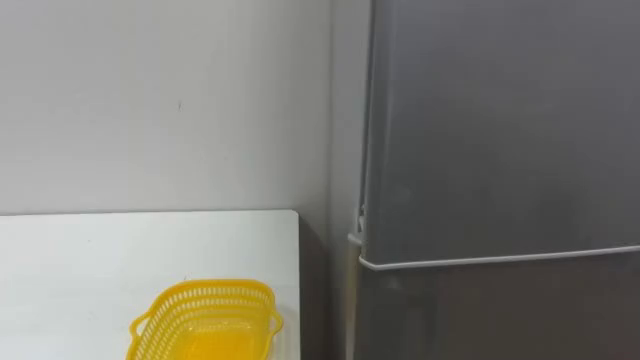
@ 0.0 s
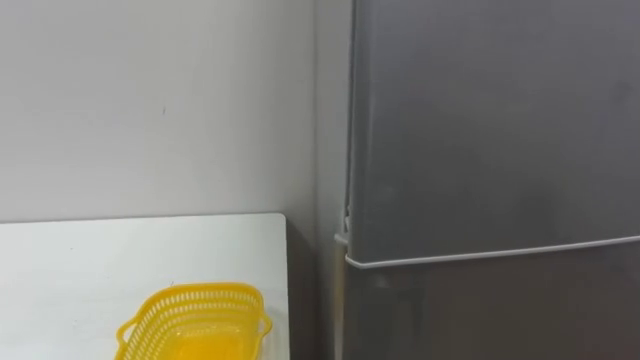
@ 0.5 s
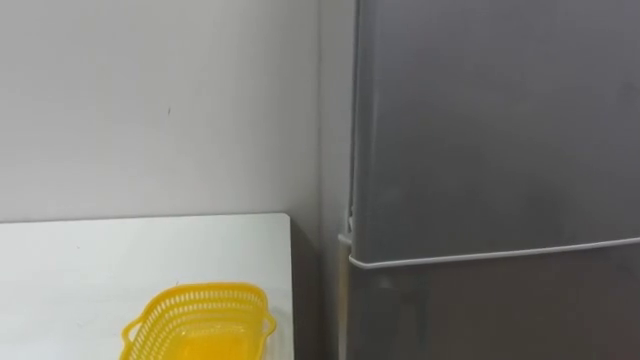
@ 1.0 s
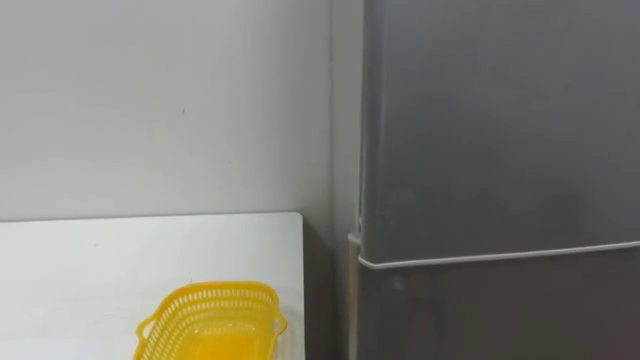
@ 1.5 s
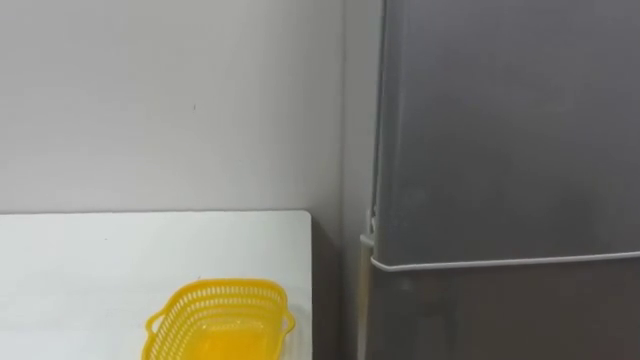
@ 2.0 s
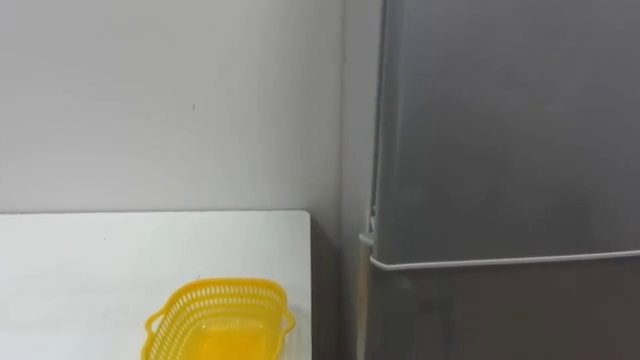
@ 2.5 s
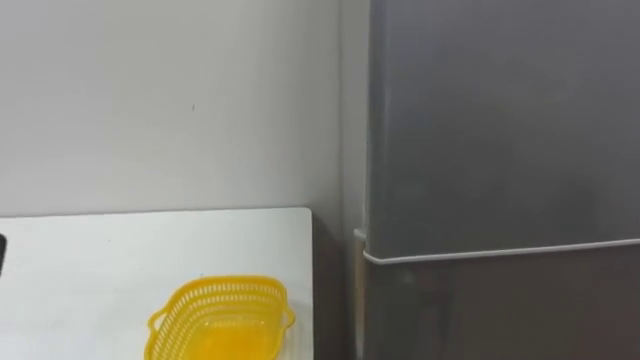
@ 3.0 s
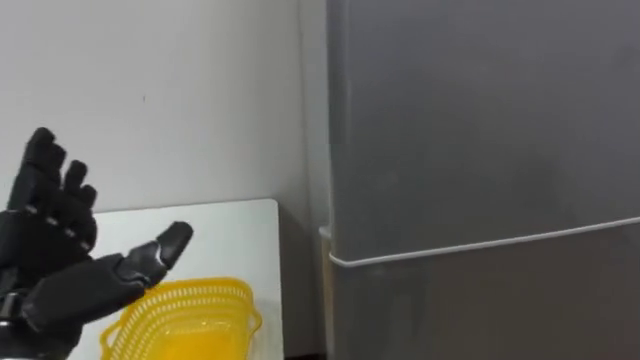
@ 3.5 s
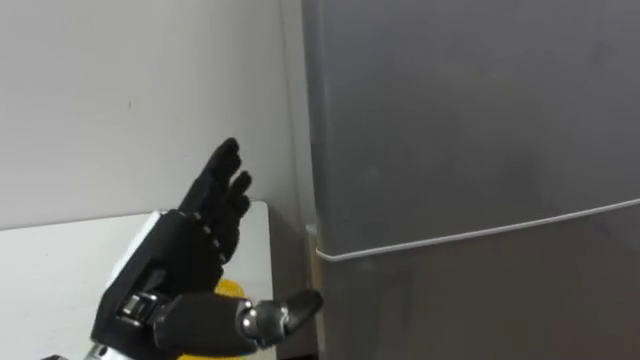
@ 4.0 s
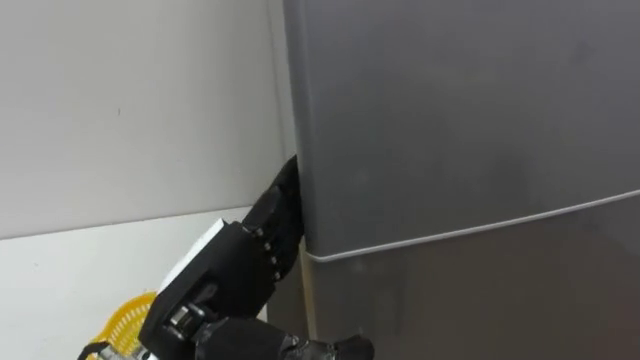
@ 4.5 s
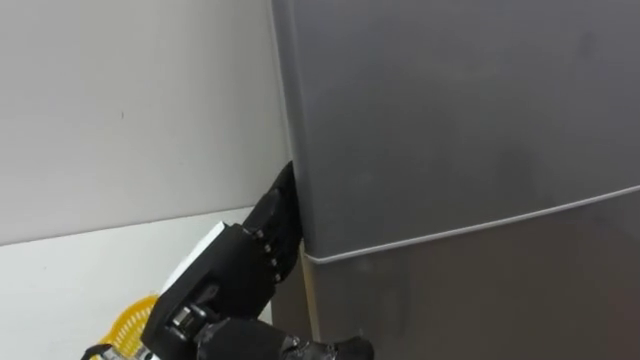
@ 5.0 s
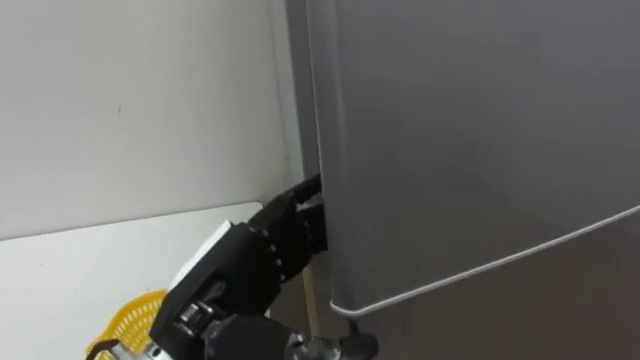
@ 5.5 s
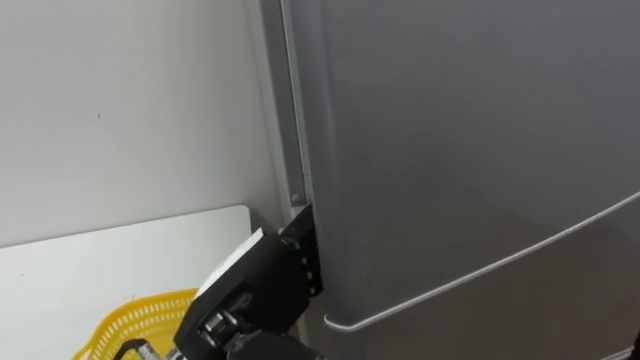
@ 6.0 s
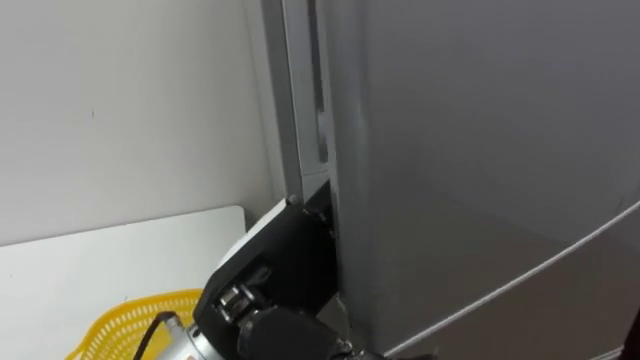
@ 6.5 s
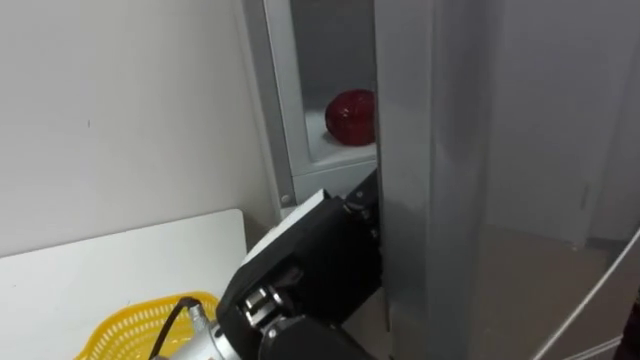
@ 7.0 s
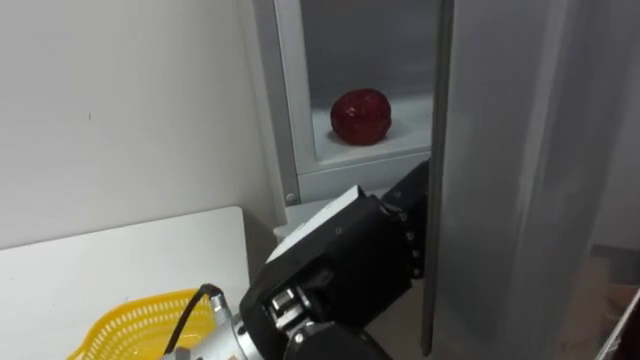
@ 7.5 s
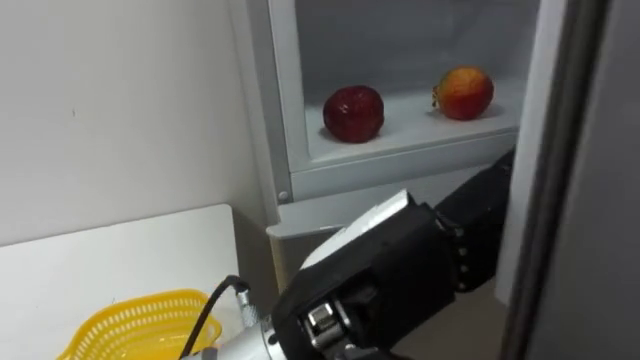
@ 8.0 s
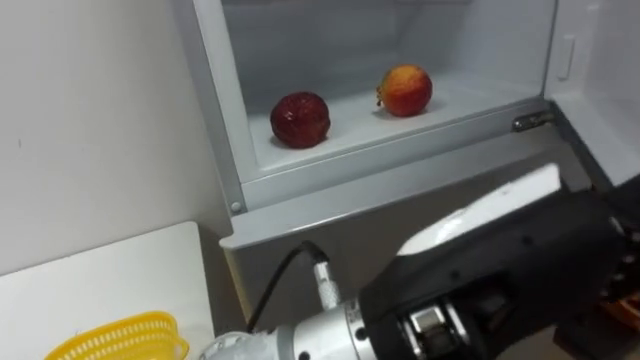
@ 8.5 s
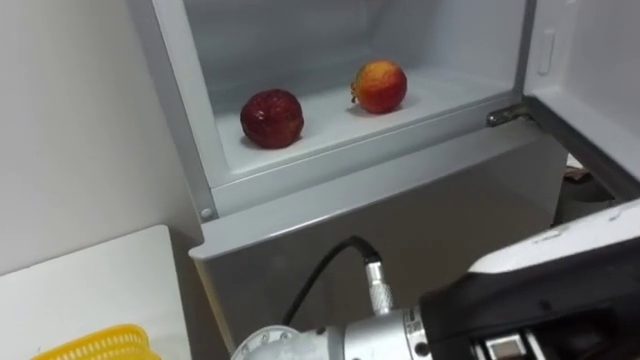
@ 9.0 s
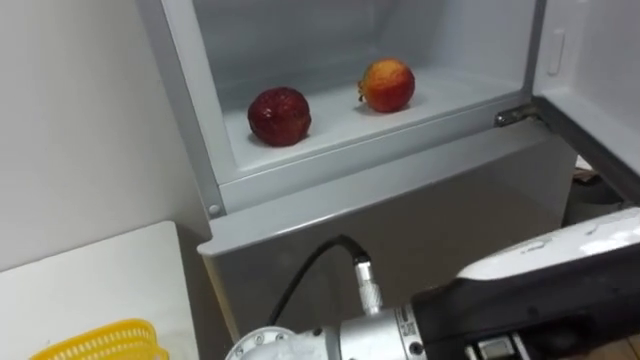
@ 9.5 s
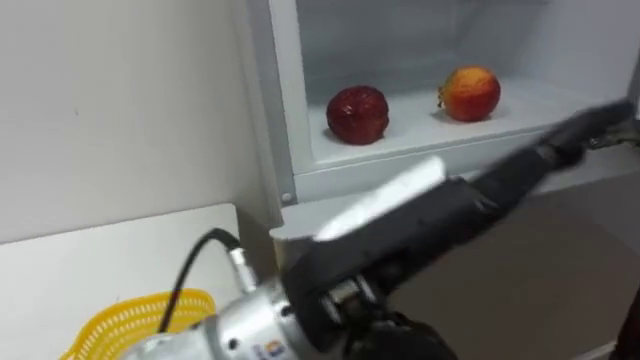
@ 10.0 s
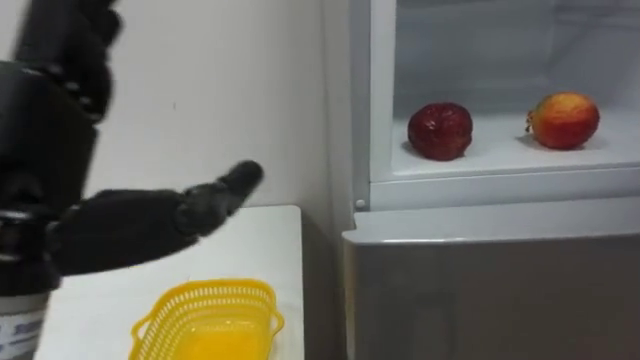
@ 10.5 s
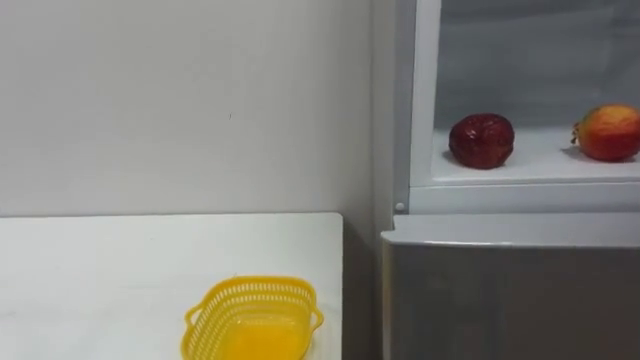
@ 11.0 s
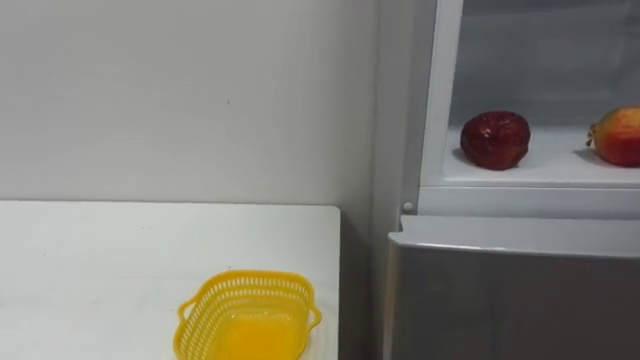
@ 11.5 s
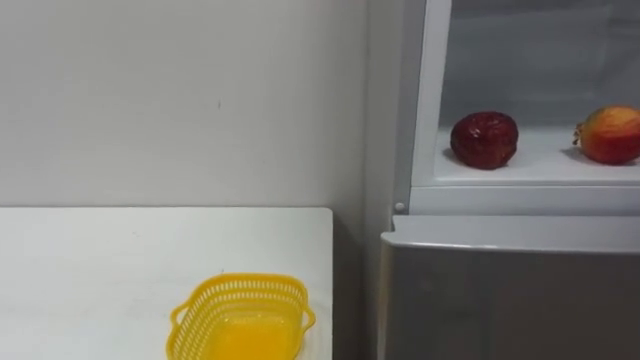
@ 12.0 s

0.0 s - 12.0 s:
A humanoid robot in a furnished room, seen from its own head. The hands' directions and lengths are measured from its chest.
Task of the whole recording: Open the refrigerator door, take out the apple and the pomegranate, place them in the fruit basket on the left, and close the refrigerator door.
4.0 s - 6.0 s: The left hand moves to the right, about 5 cm.
6.0 s - 8.0 s: The left hand heads to the right, upward and backward, covering some 10 cm.

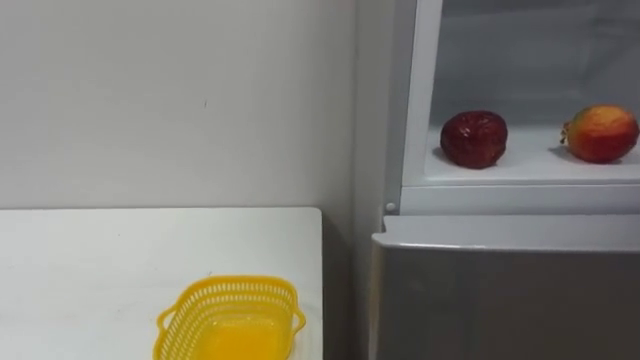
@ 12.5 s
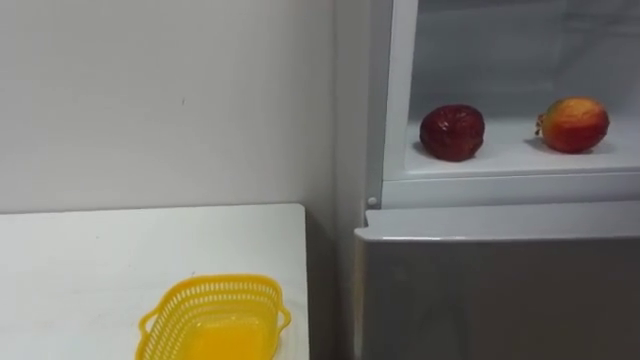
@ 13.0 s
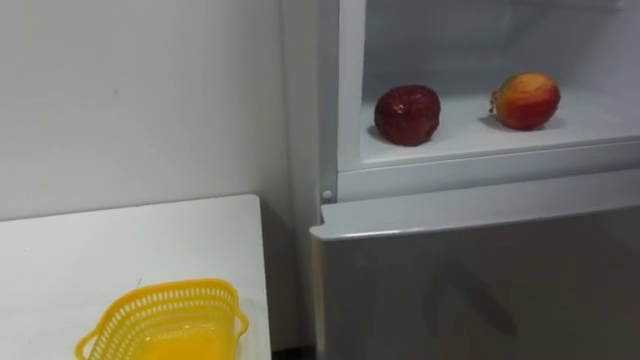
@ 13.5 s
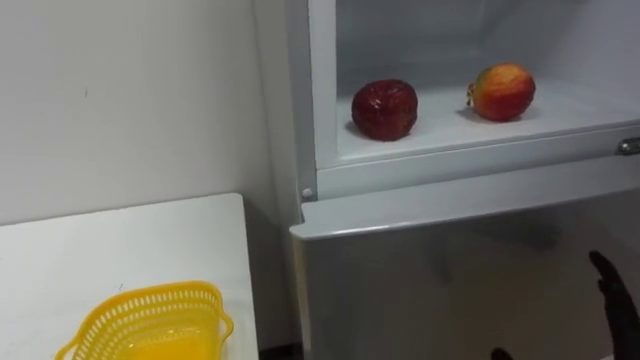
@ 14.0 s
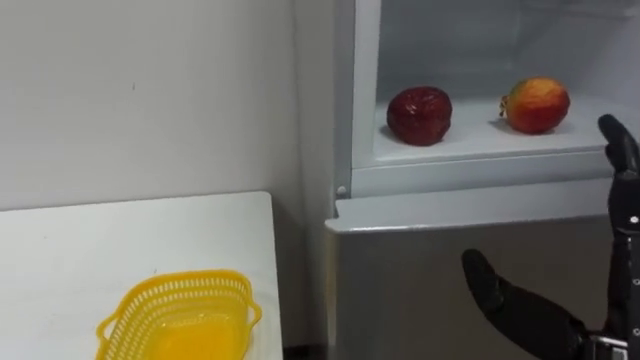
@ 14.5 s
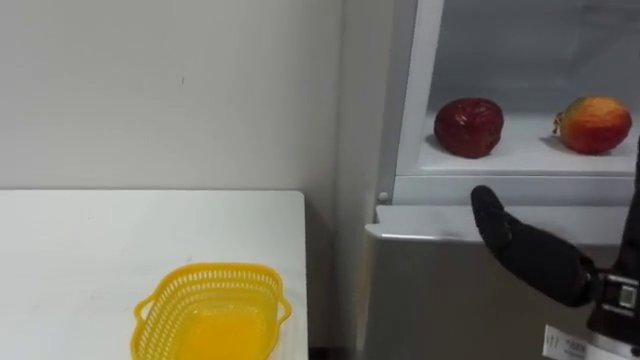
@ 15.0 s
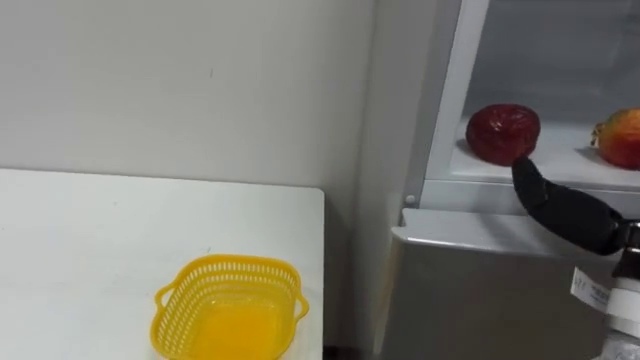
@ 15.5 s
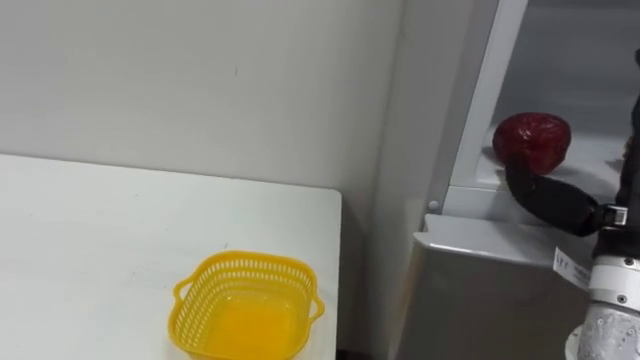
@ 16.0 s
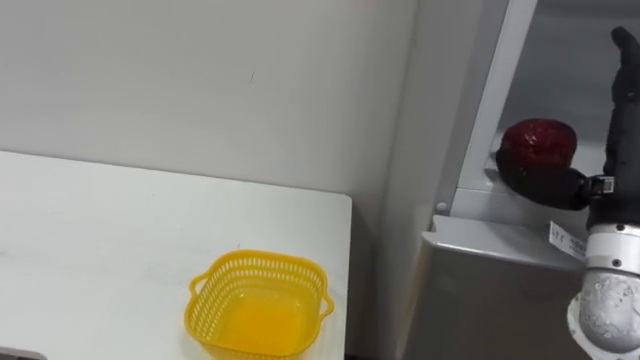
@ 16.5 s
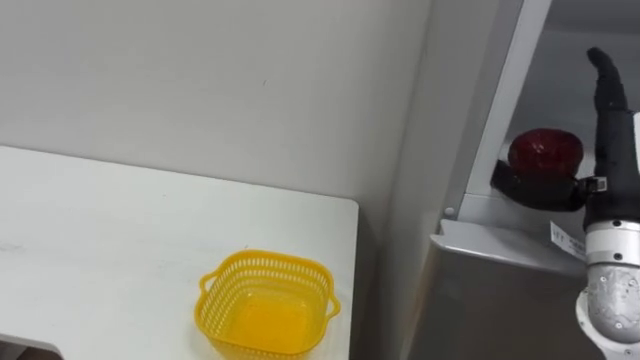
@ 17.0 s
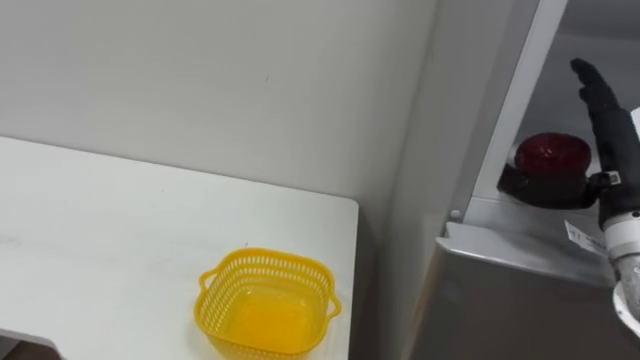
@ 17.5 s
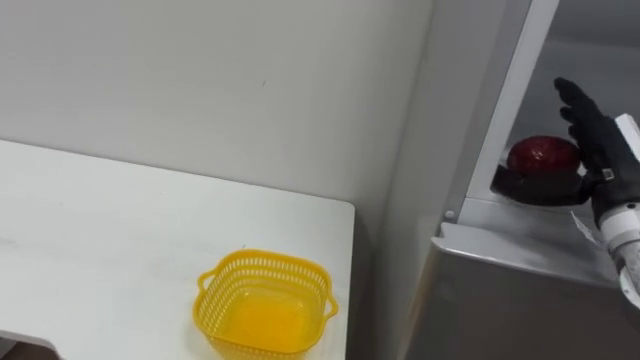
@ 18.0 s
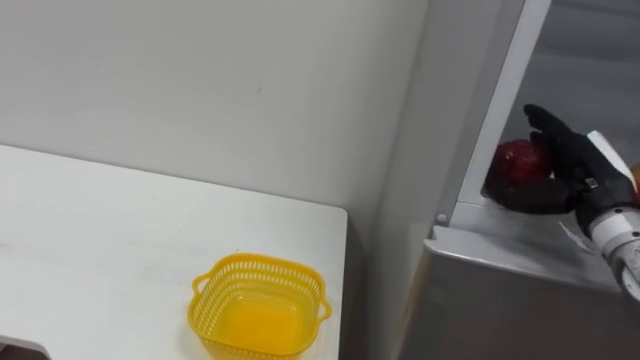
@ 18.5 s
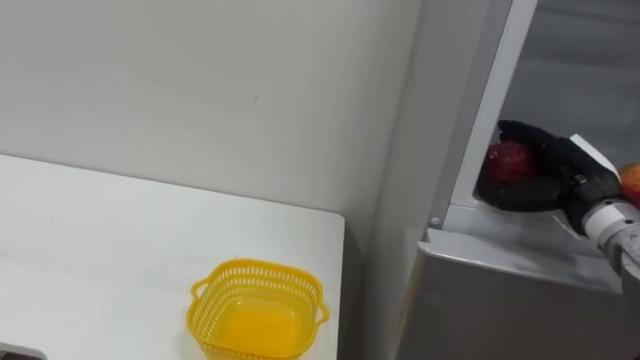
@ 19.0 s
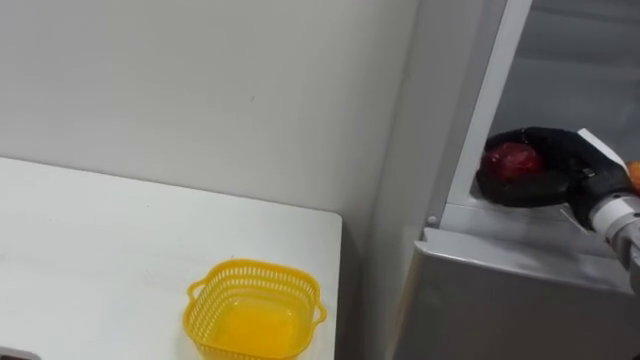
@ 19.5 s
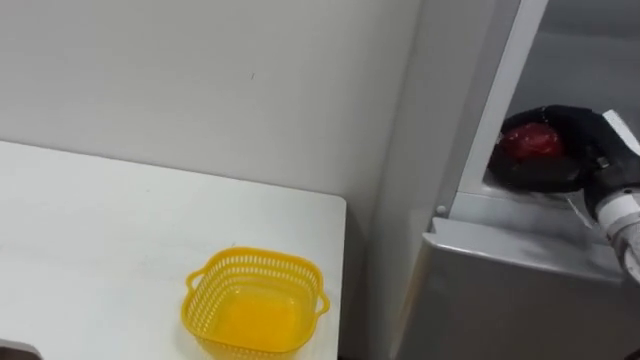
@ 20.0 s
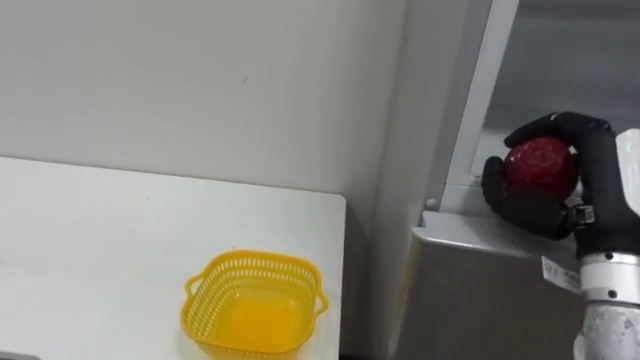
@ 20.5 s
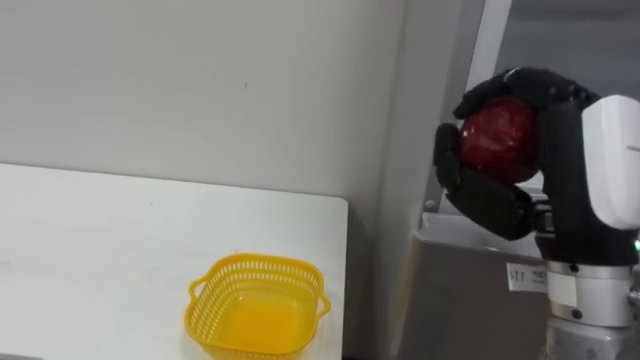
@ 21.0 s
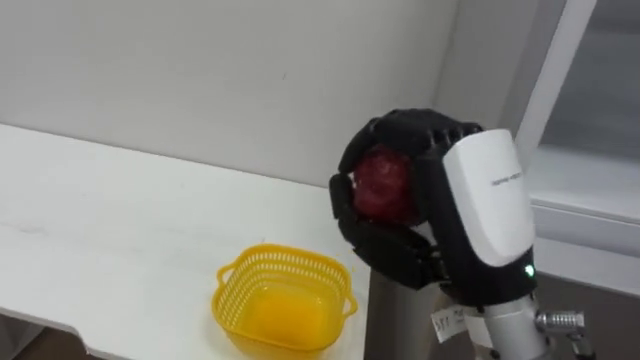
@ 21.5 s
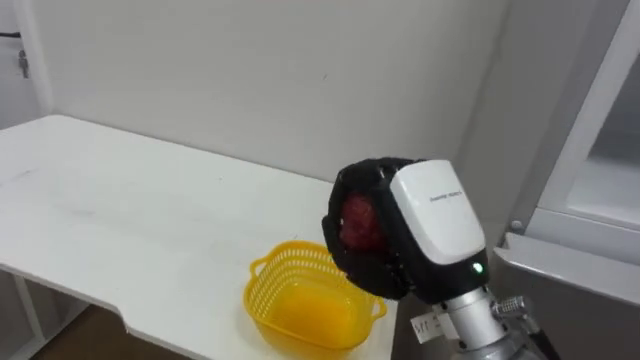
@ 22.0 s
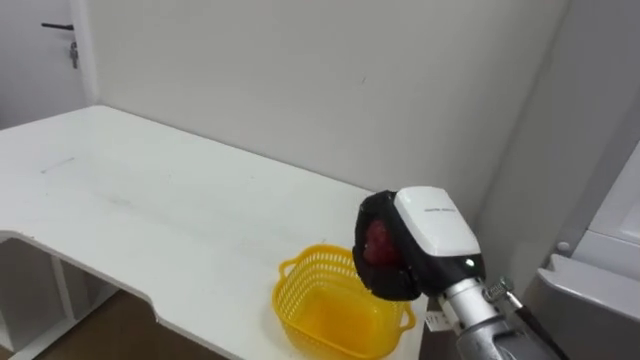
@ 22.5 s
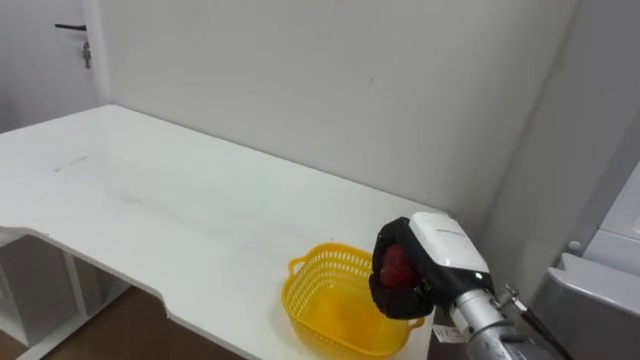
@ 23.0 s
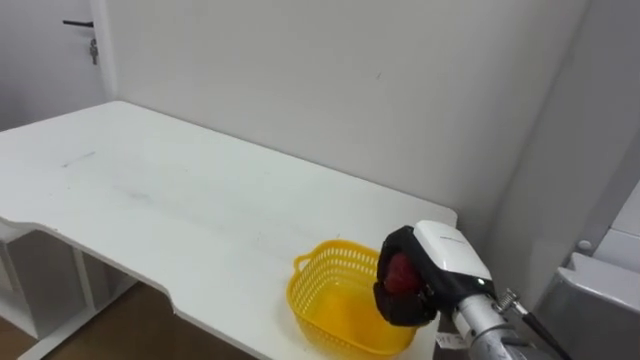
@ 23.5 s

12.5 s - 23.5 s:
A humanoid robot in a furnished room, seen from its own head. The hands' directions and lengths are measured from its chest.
Task of the whole recording: Open the refrigerator door, take out the apple and the pomegranate, place them in the fruit basket on the left, and close the refrigerator door.
16.0 s - 18.0 s: The right hand shifts about 10 cm forward.
18.0 s - 20.0 s: The right hand closes.
20.0 s - 21.5 s: The right hand travels to the left and backward by some 25 cm.
21.5 s - 23.5 s: The right hand shifts approximately 20 cm downward and forward.
